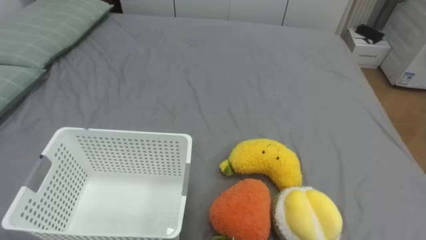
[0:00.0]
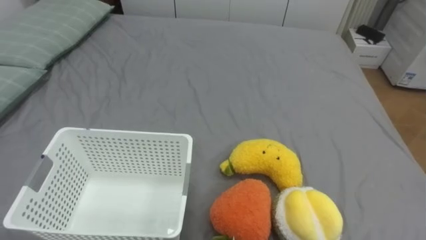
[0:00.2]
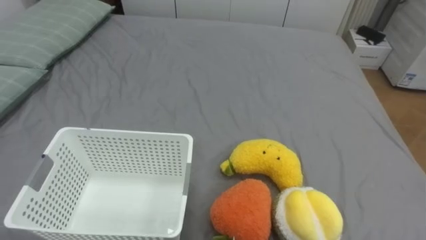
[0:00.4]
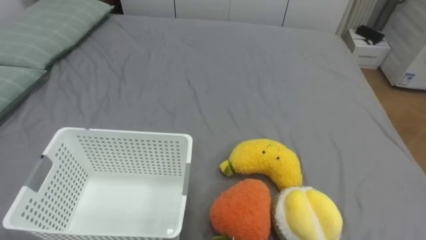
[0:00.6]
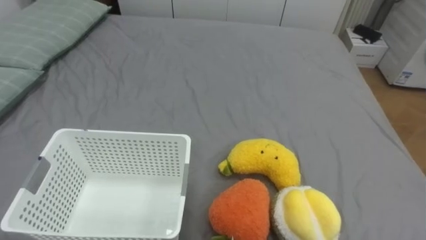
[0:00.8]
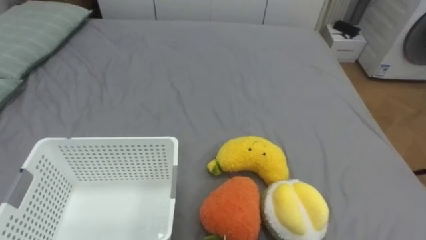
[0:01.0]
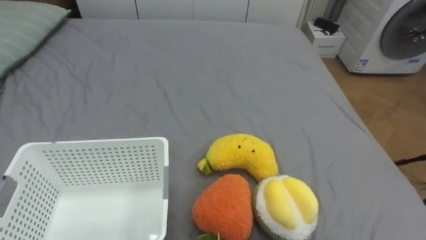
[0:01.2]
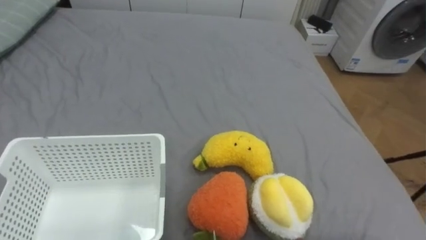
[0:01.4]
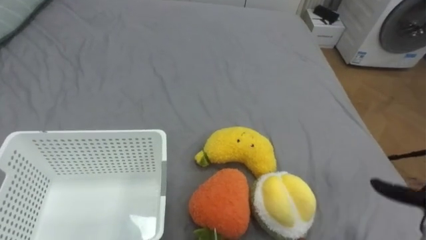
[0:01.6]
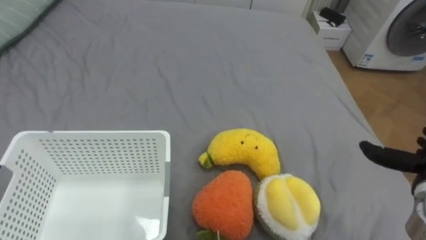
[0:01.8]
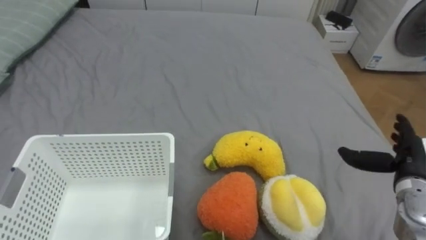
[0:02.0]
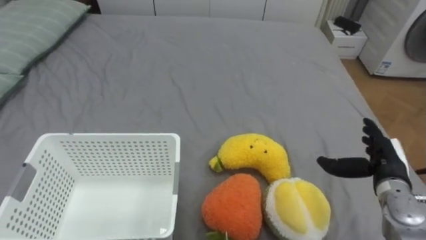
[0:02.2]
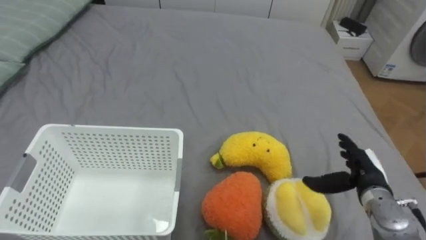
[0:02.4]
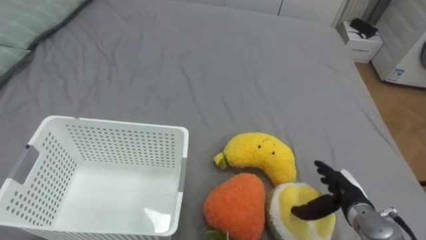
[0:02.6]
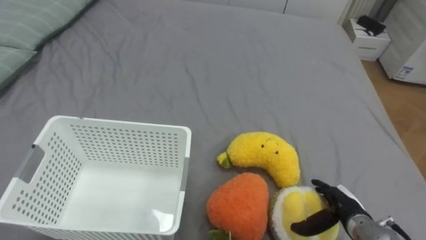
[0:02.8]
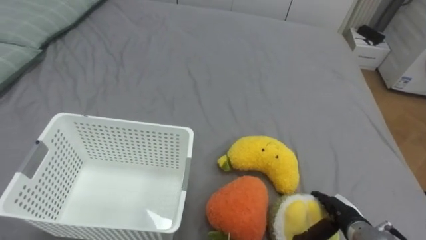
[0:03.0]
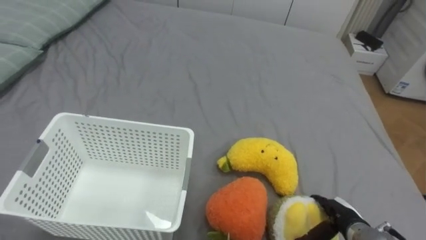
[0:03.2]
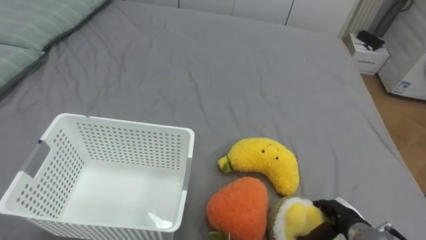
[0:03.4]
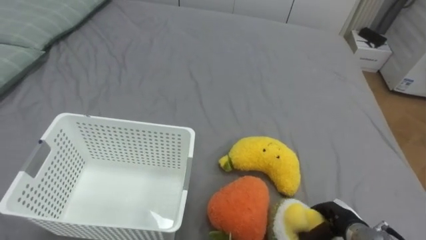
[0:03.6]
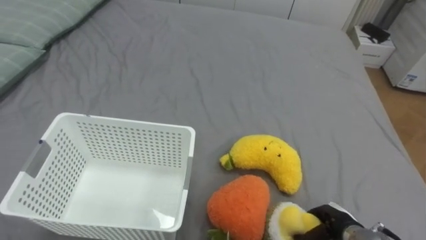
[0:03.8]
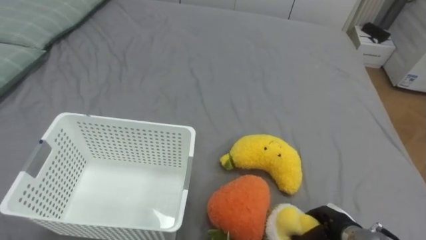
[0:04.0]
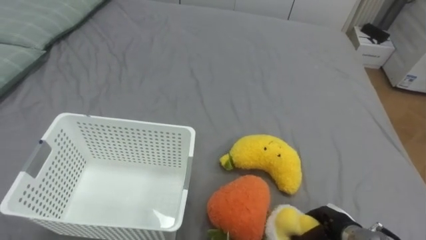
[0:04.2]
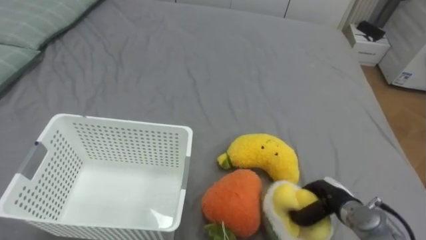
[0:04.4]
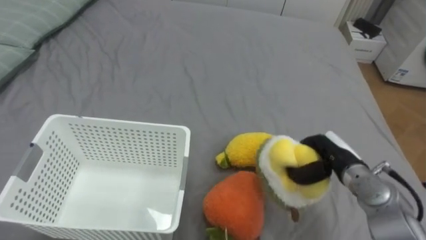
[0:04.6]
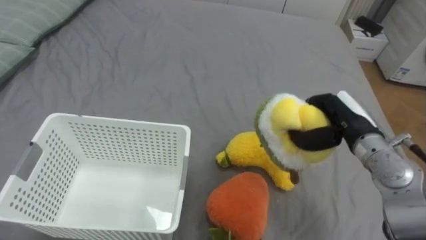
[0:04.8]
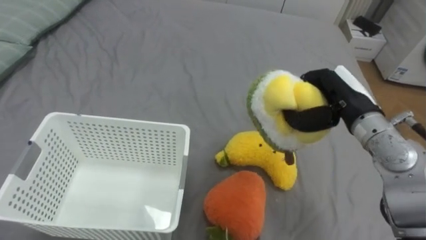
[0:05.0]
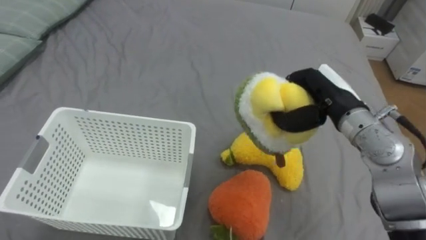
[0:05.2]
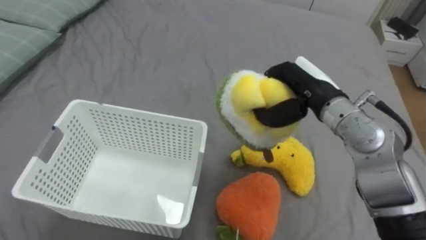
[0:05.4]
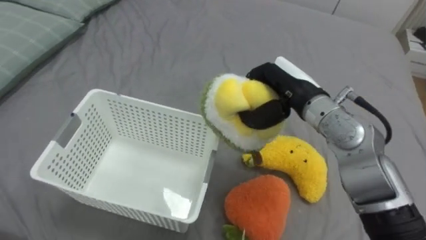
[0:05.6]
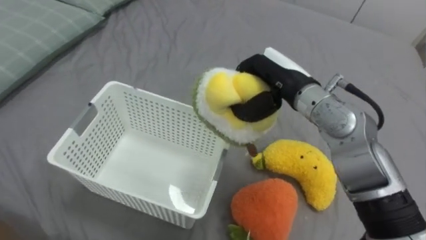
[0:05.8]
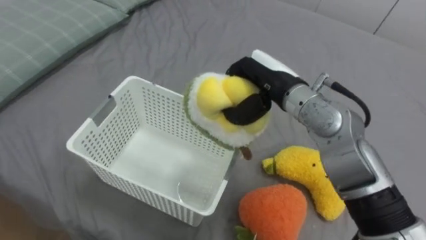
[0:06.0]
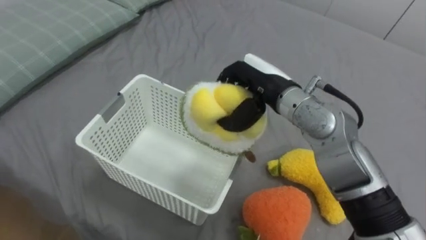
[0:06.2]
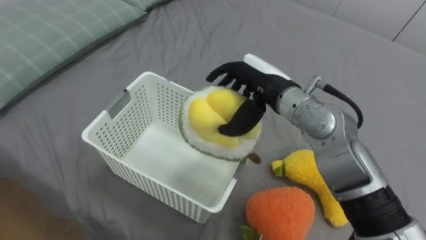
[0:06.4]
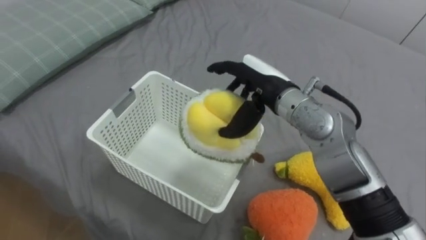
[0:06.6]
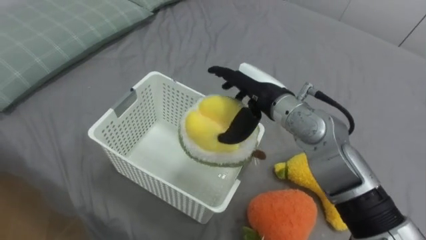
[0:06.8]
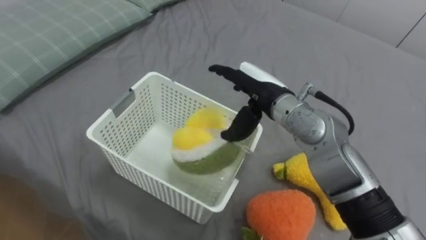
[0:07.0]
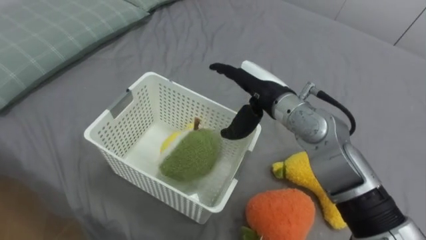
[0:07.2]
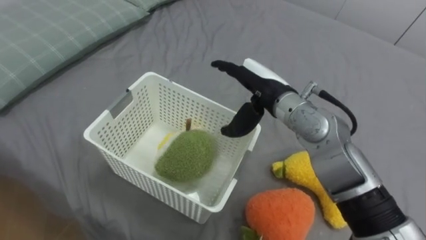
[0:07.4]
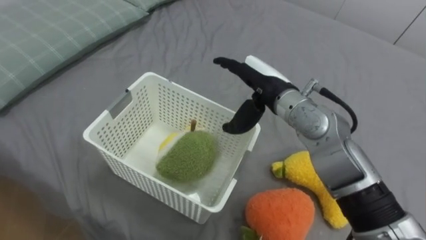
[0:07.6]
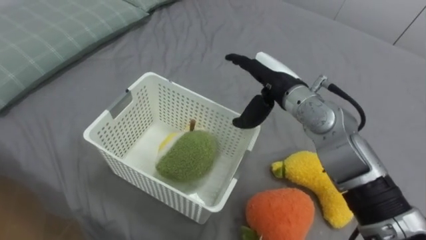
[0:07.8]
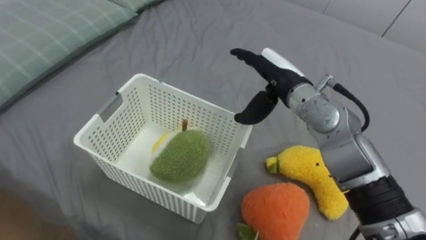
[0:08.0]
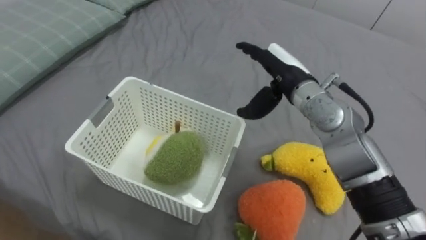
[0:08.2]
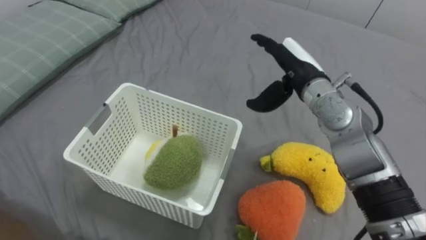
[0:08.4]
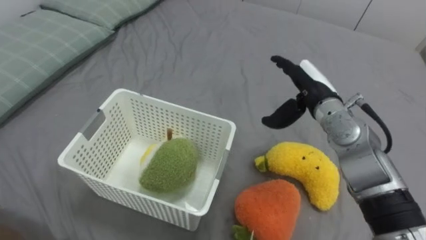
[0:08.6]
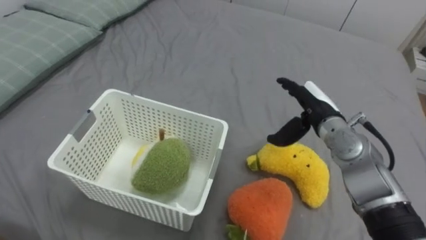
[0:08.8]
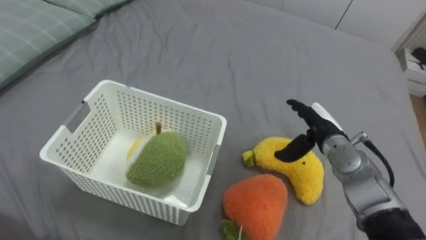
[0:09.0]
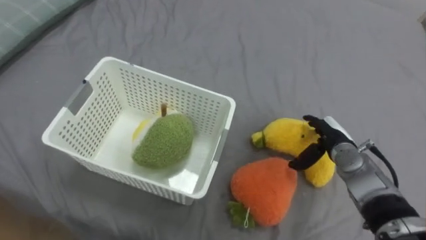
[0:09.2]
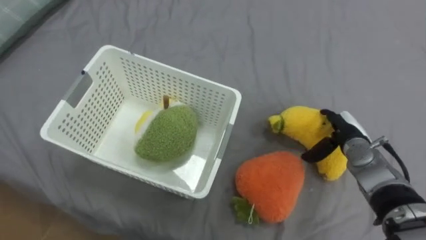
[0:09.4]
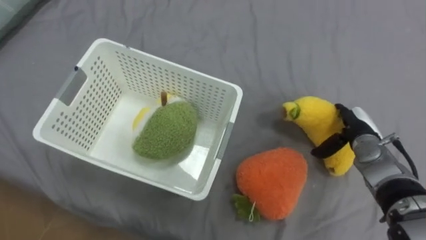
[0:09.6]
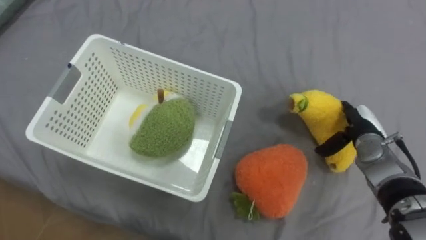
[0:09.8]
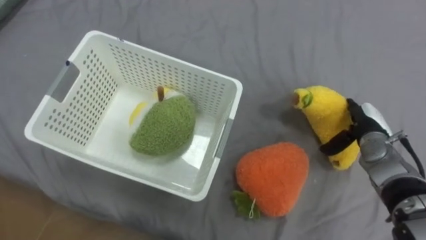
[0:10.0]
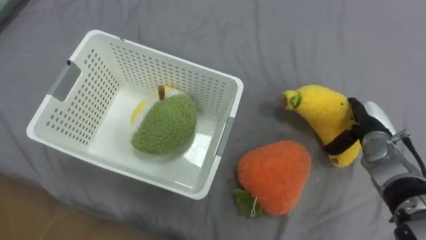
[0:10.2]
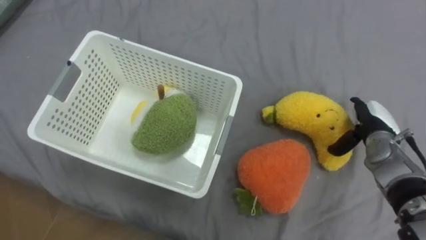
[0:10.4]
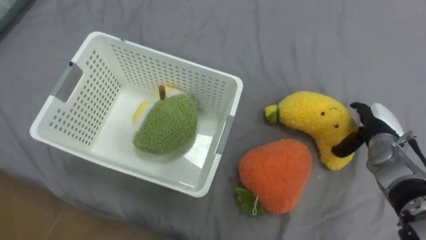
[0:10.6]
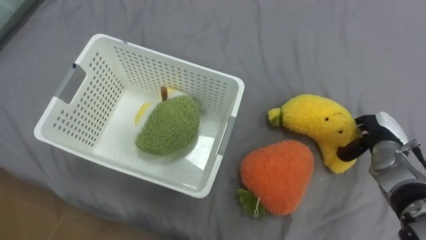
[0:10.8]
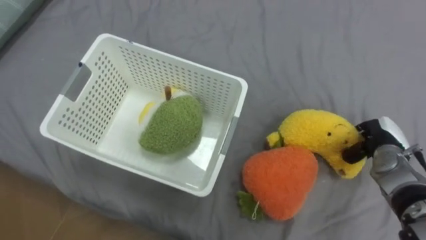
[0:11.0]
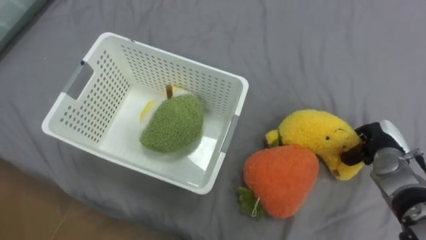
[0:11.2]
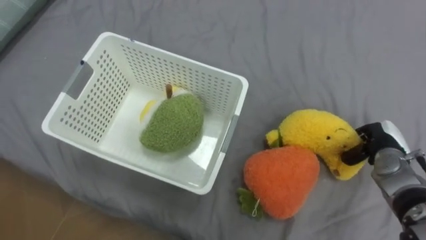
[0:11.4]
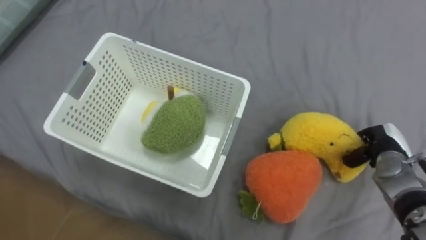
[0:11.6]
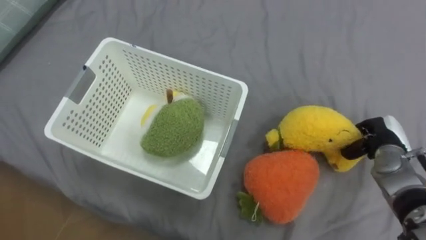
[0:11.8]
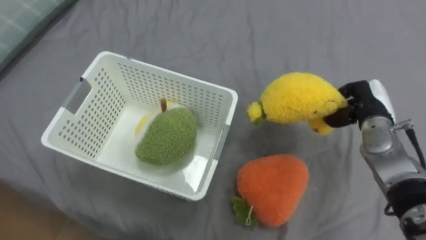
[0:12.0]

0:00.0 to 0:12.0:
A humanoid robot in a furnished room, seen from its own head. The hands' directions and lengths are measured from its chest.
Task of the whole recording: Put the toys on the bed into the basket on the left.
0:03.0 to 0:04.4: The right hand closes.
0:04.4 to 0:06.0: The right hand heads upward, to the left and forward, covering about 30 cm.
0:06.0 to 0:07.6: The right hand opens.
0:07.6 to 0:09.0: The right hand heads to the right and downward, covering approximately 15 cm.
0:09.0 to 0:10.4: The right hand heads to the right, covering roughly 10 cm.
0:10.4 to 0:12.0: The right hand closes.

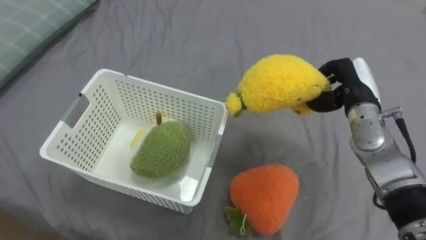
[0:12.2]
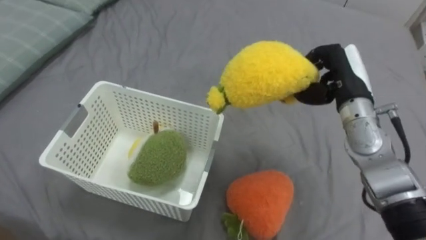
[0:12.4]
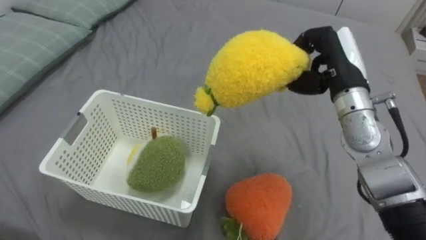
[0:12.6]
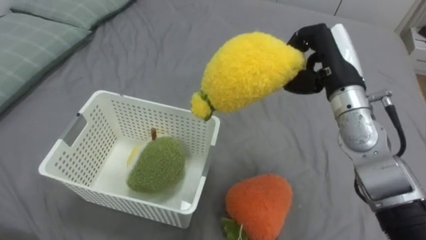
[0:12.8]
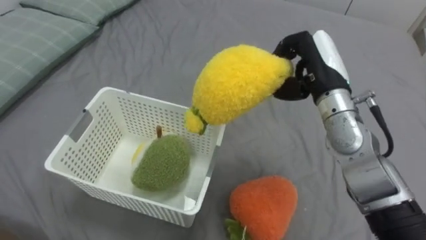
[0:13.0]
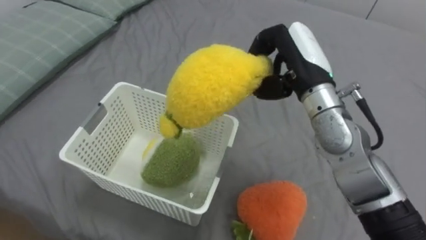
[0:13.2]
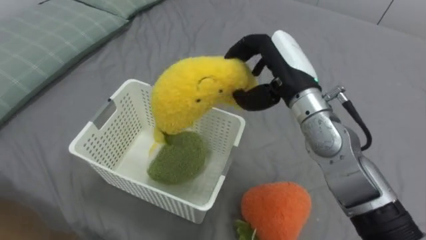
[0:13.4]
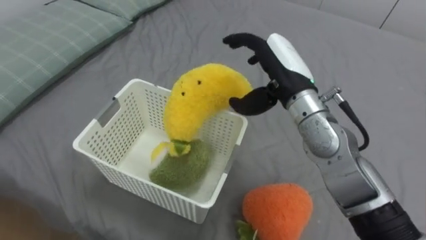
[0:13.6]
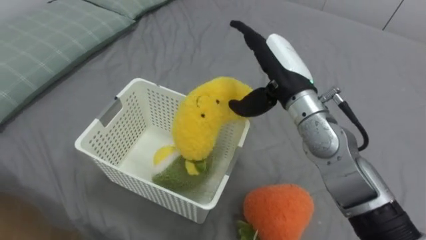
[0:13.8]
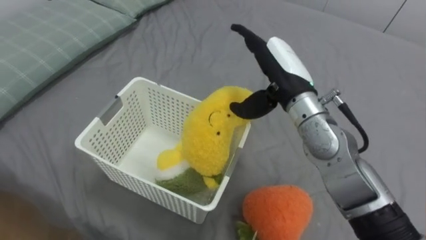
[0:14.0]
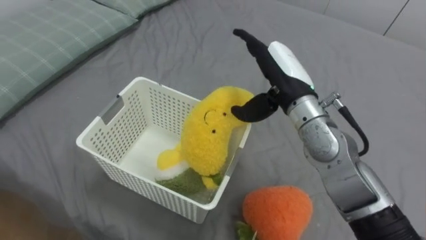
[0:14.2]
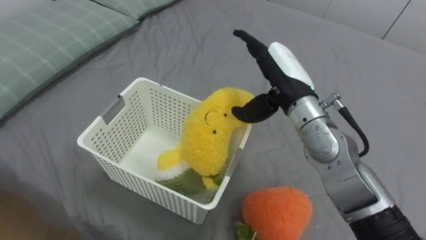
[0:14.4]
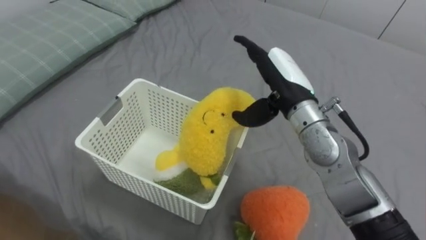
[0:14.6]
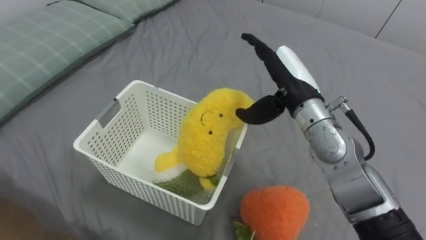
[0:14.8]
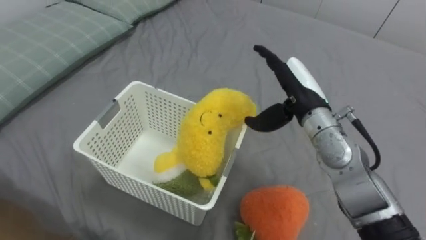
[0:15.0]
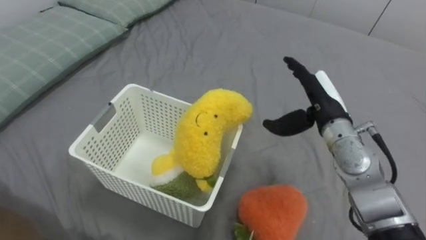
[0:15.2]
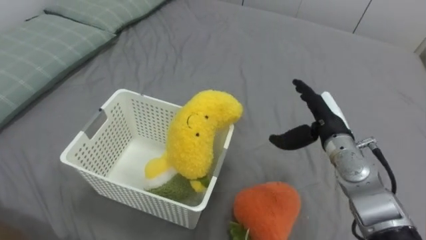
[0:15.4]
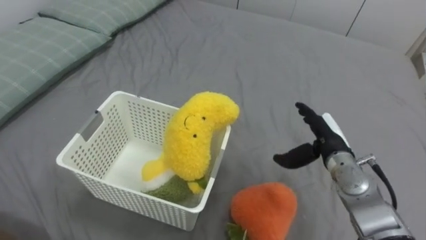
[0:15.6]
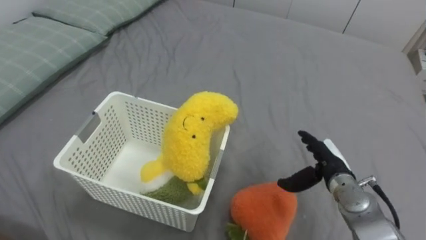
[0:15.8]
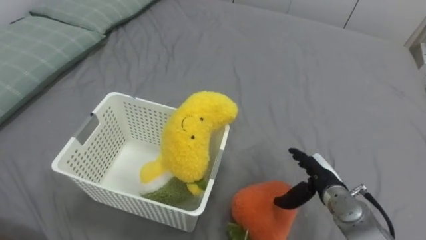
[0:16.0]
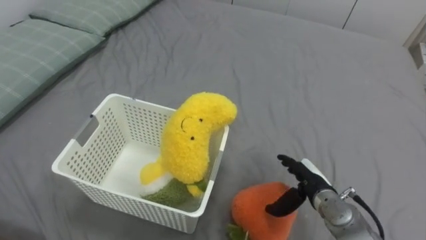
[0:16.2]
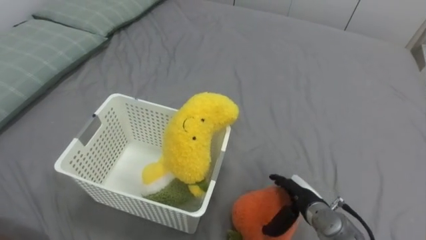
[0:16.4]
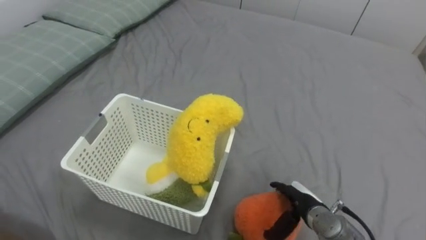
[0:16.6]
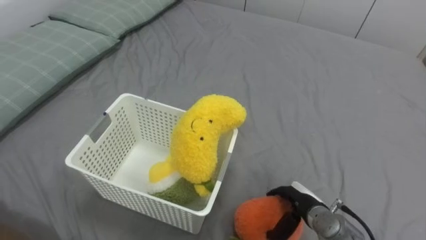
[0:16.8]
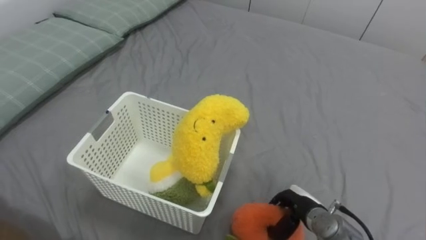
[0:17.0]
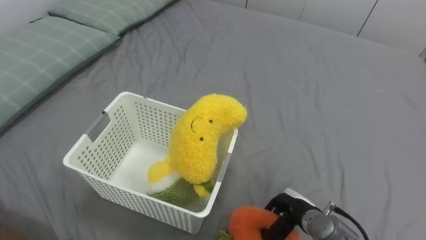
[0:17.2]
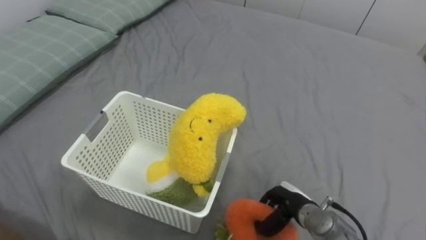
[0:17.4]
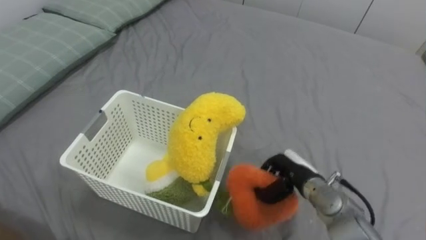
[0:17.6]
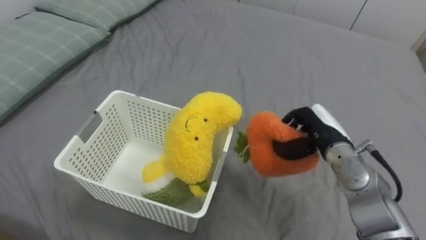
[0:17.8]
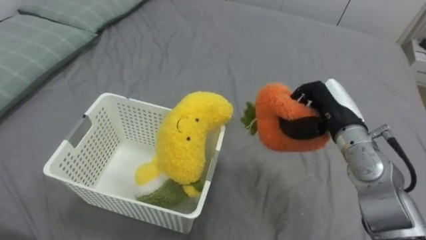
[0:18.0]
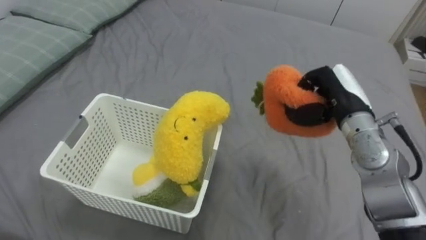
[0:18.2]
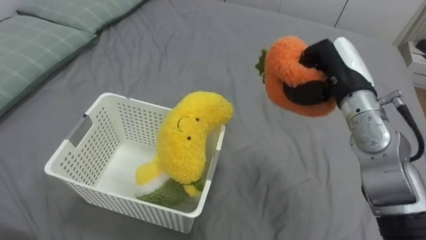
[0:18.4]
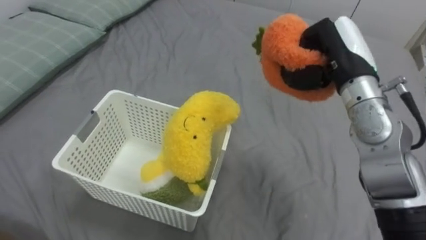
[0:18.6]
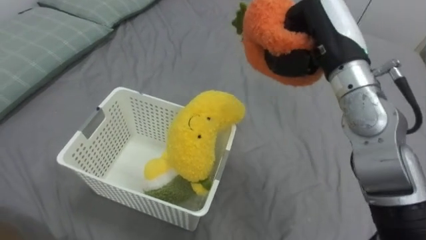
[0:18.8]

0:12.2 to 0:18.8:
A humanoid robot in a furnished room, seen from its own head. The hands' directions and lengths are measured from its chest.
Task of the whole recording: Put the toys on the bed into the basket on the left.
0:12.2 to 0:13.8: The right hand is displaced to the left and upward by about 15 cm, and opens up.
0:13.8 to 0:15.4: The right hand goes approximately 15 cm downward and to the right.
0:15.4 to 0:17.2: The right hand moves downward and backward, roughly 20 cm, and closes up.
0:17.2 to 0:18.8: The right hand travels upward by approximately 35 cm, and closes.
